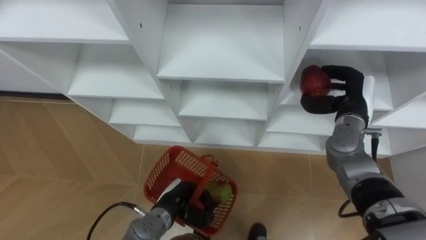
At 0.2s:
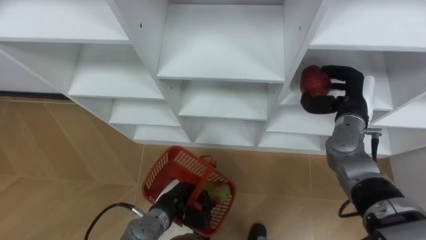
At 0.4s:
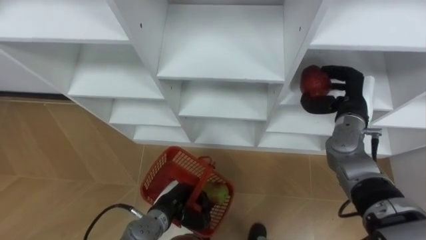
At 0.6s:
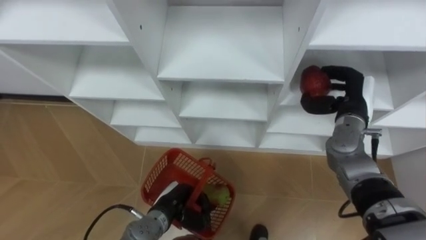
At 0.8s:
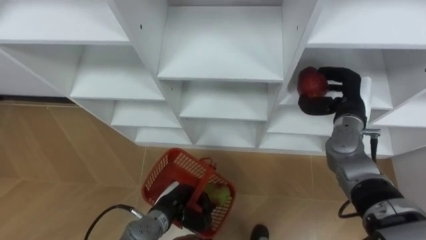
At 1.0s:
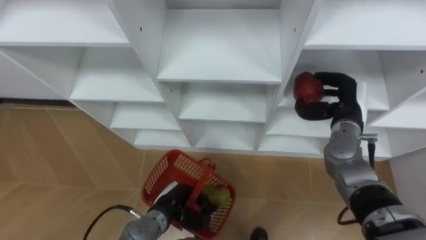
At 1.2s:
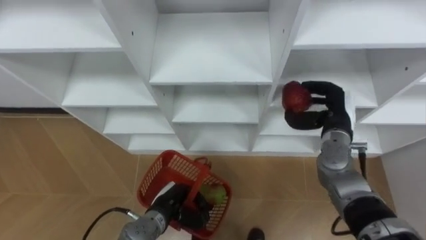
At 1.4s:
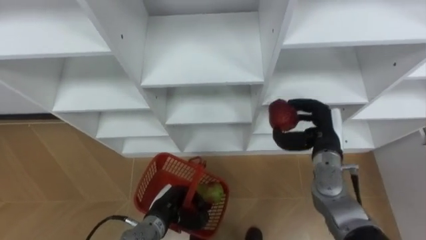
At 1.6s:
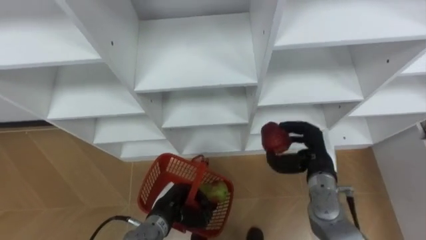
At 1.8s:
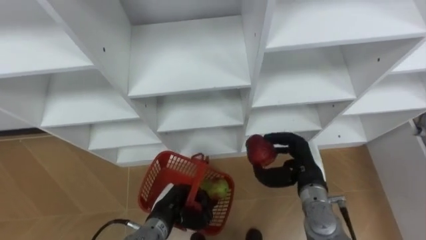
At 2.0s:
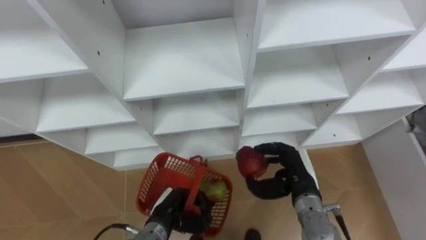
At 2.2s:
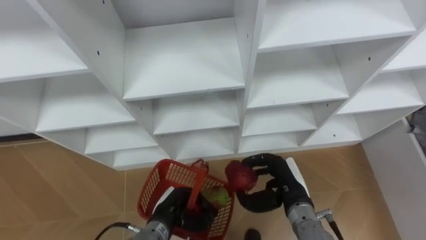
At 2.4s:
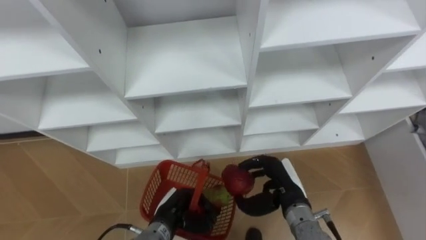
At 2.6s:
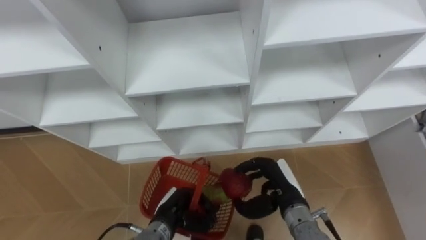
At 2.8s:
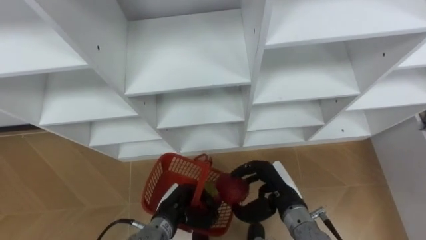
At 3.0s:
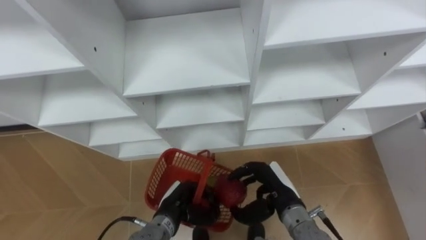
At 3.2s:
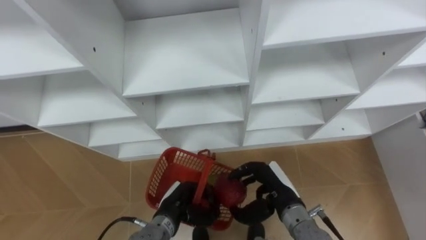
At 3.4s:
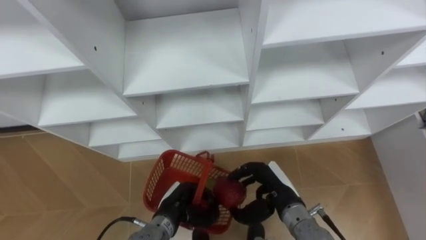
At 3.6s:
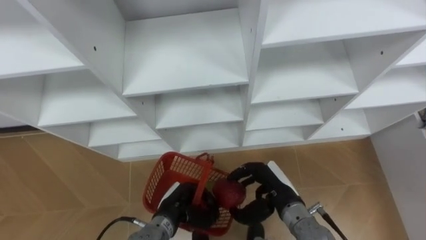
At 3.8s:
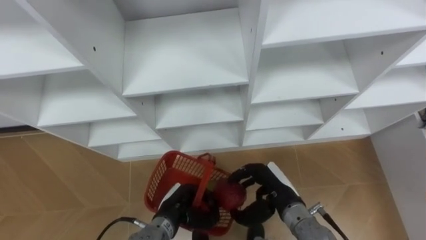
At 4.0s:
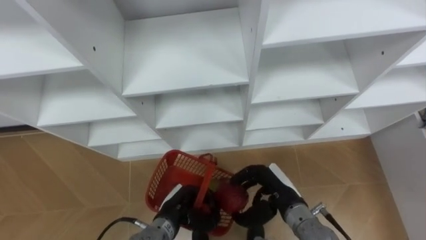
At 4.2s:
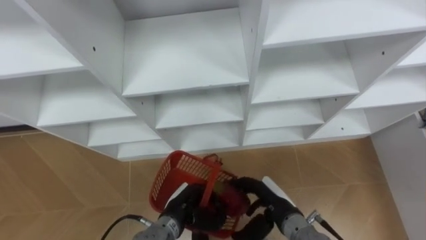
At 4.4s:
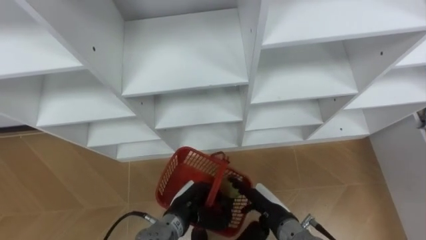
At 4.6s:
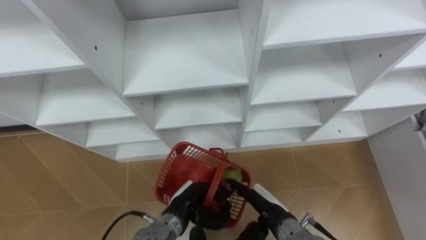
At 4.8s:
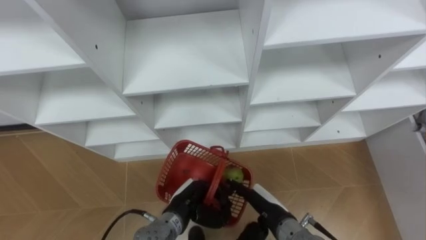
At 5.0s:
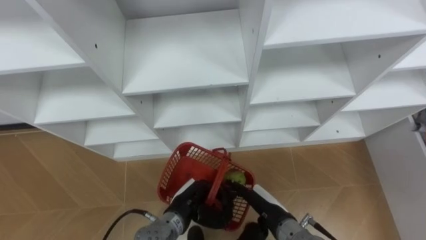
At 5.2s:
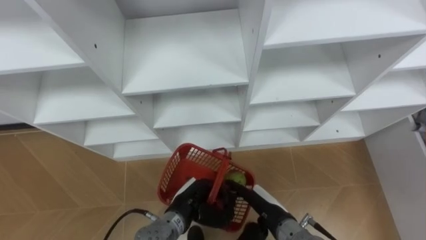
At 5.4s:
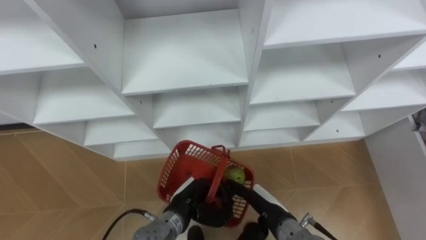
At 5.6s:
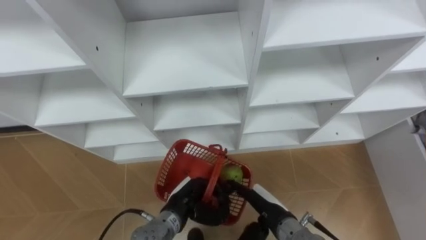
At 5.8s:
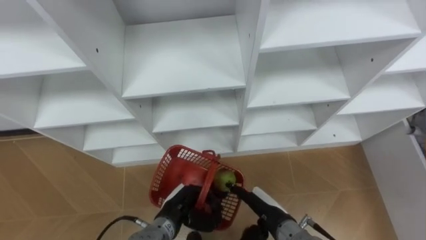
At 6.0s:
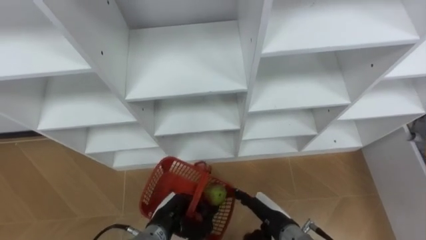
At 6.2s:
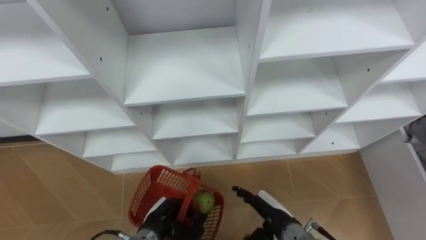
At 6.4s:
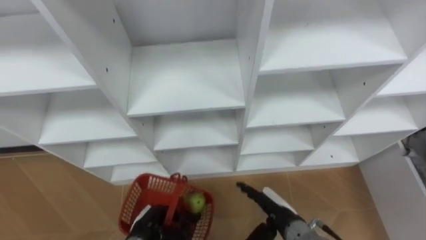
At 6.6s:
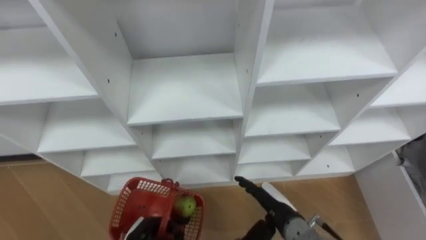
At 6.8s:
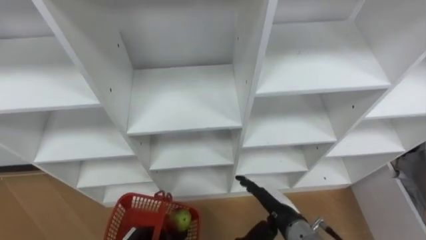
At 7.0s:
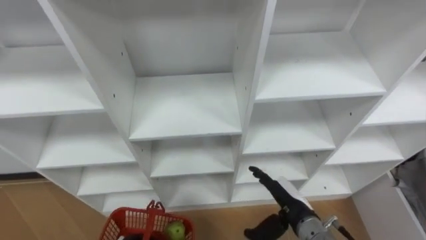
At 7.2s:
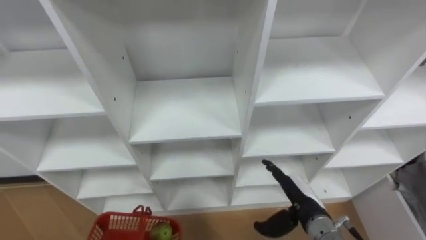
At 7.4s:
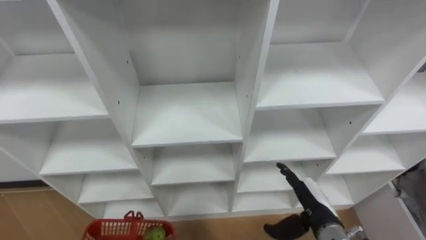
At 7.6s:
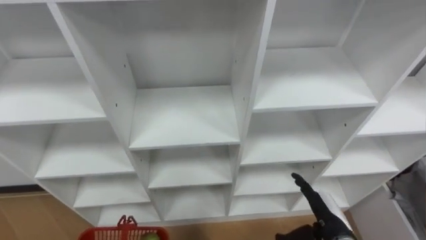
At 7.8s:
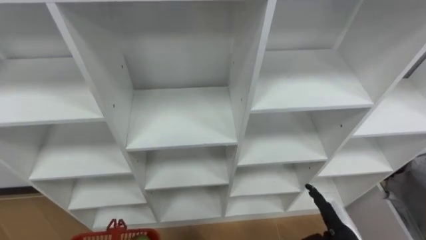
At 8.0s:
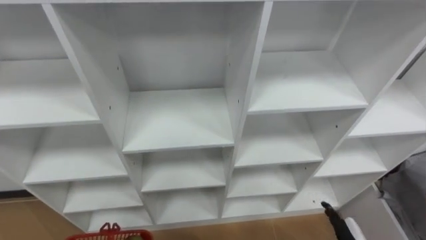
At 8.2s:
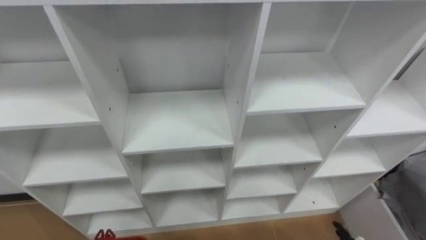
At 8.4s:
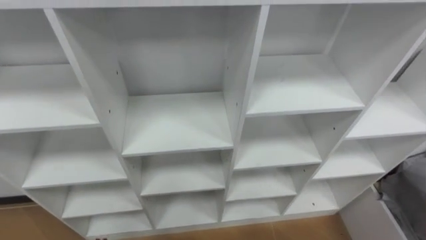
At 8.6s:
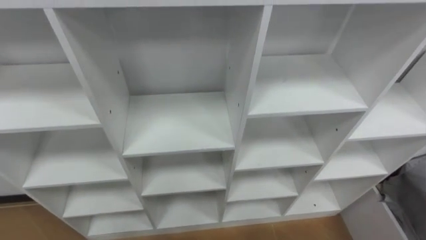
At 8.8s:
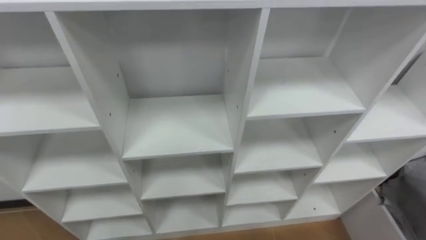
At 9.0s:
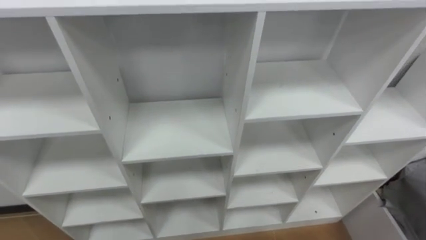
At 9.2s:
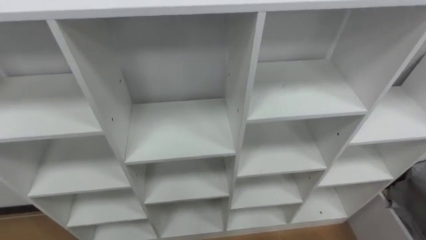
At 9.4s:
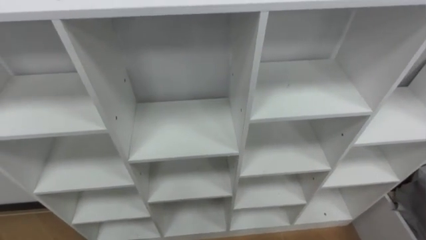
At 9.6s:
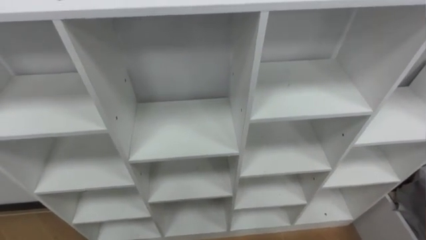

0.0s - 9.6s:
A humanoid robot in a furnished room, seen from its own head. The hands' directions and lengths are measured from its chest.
Task of the whole recording: Hold the basket and collect the fruits from 3 different cells of the closet into it.
0.0s - 1.6s: The right hand travels backward, downward and to the left by about 10 cm.
1.6s - 3.2s: The right hand travels to the left and backward by approximately 10 cm.
3.2s - 4.8s: The right hand opens its fingers.
4.8s - 6.4s: The left hand moves to the left, approximately 10 cm.

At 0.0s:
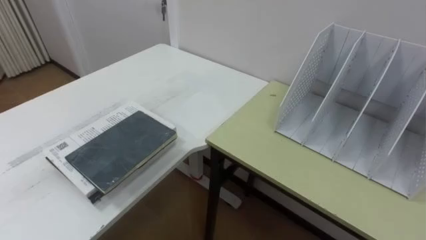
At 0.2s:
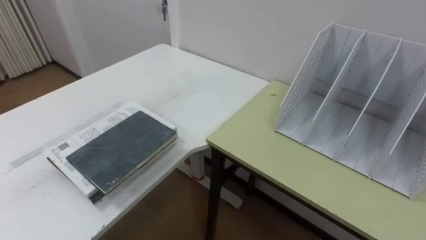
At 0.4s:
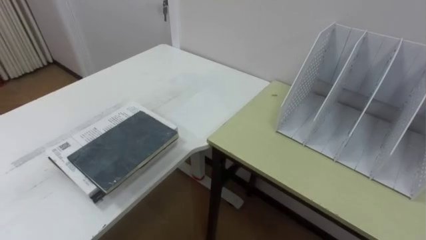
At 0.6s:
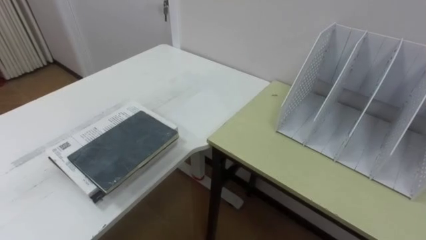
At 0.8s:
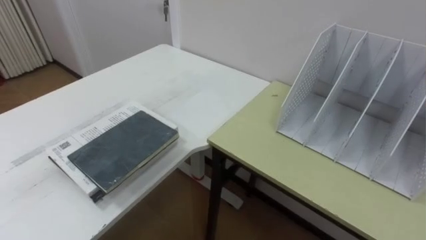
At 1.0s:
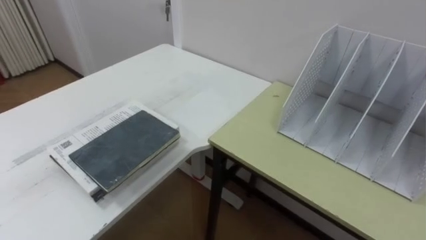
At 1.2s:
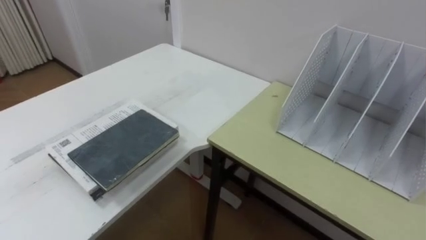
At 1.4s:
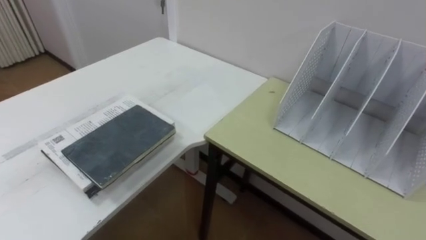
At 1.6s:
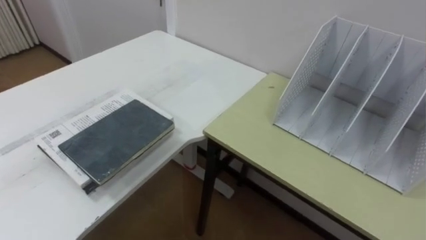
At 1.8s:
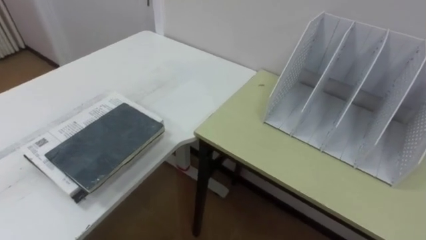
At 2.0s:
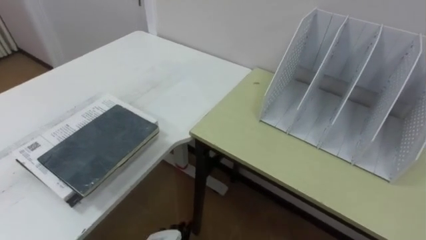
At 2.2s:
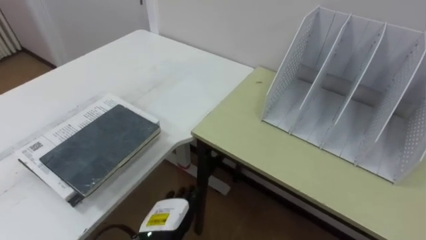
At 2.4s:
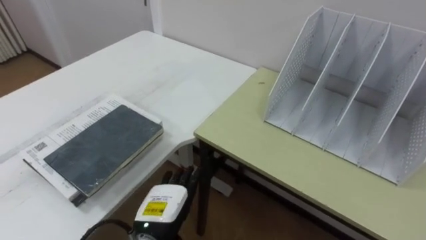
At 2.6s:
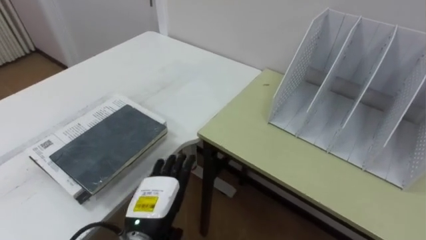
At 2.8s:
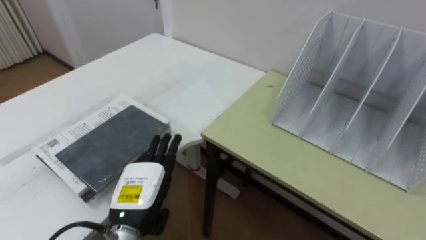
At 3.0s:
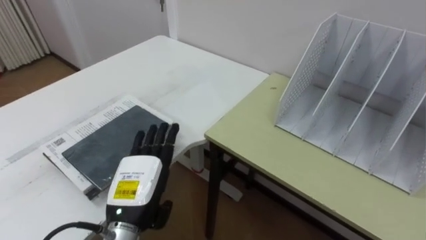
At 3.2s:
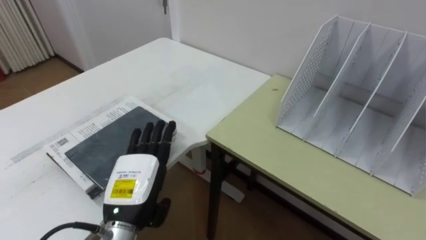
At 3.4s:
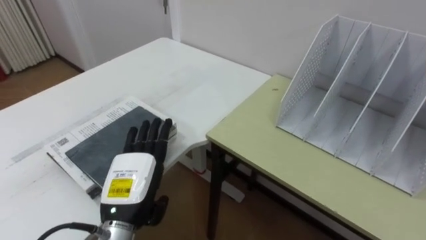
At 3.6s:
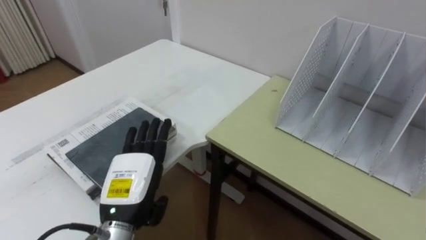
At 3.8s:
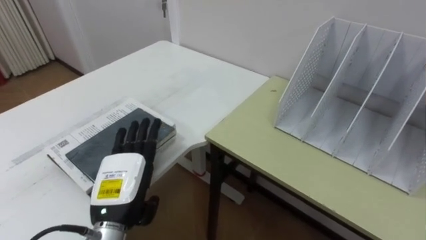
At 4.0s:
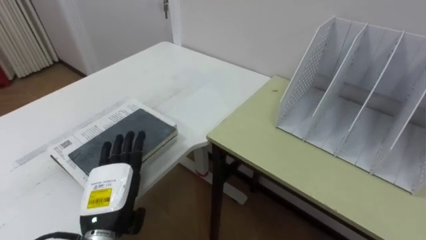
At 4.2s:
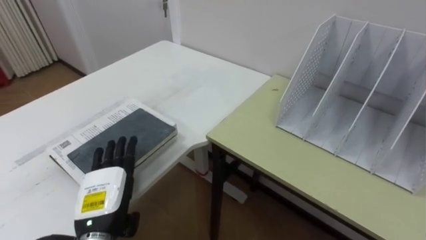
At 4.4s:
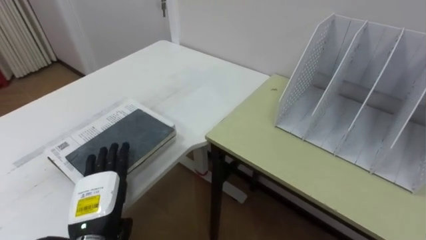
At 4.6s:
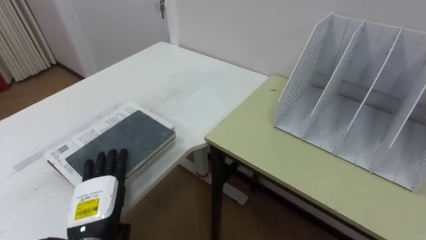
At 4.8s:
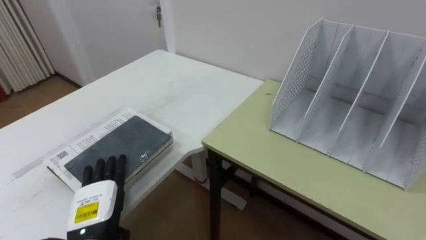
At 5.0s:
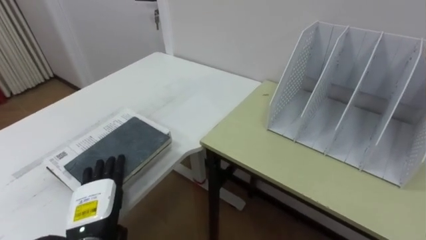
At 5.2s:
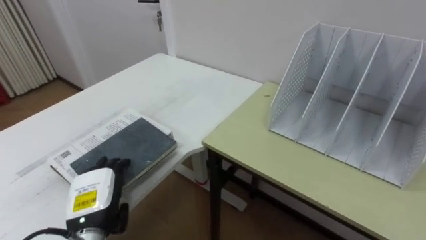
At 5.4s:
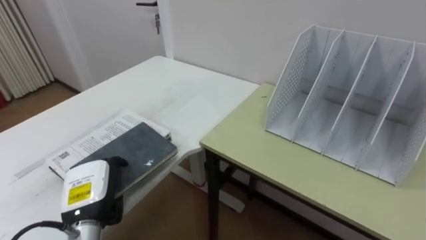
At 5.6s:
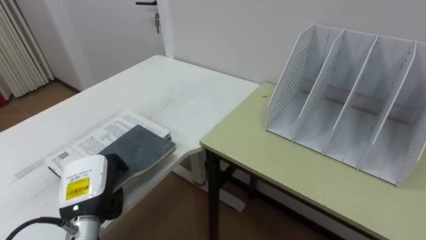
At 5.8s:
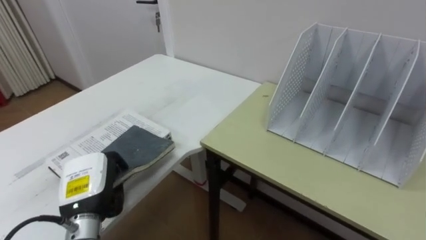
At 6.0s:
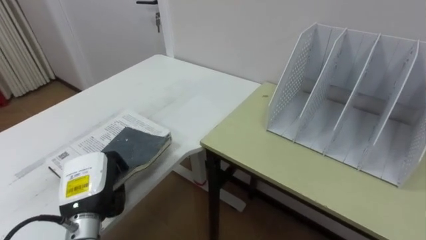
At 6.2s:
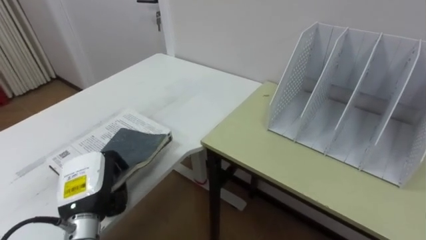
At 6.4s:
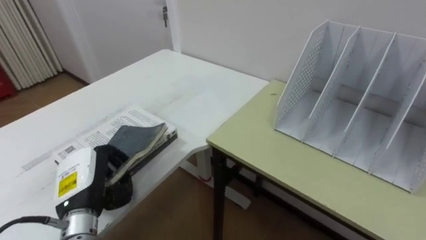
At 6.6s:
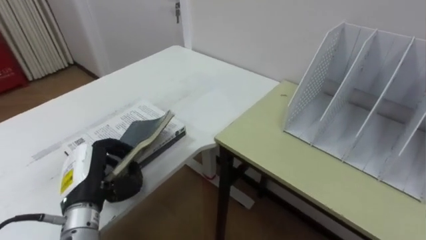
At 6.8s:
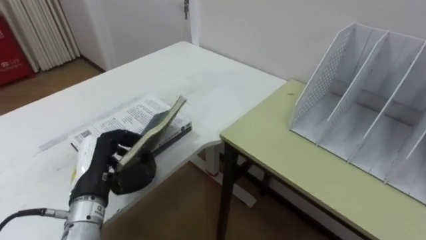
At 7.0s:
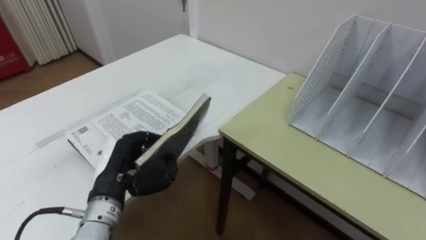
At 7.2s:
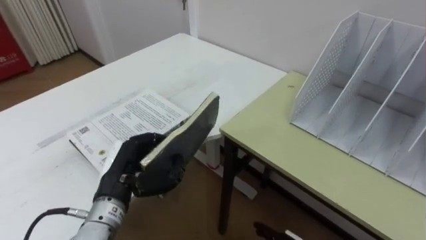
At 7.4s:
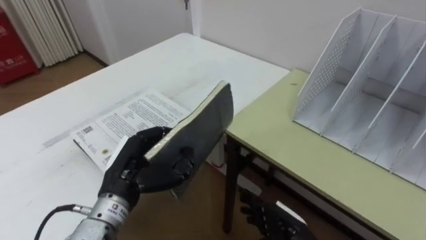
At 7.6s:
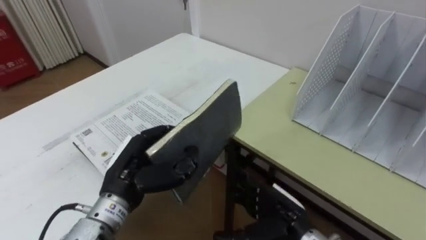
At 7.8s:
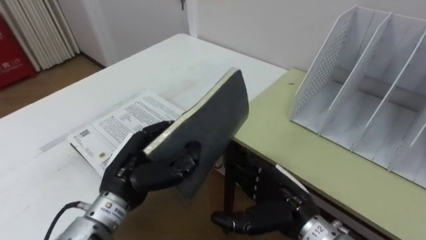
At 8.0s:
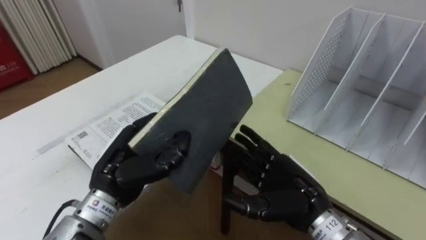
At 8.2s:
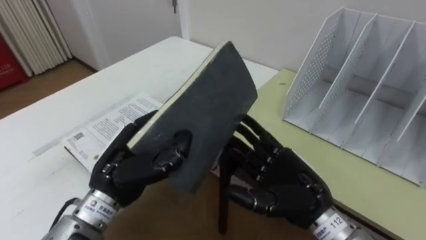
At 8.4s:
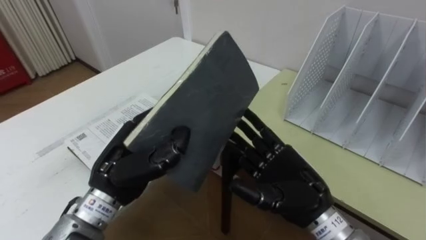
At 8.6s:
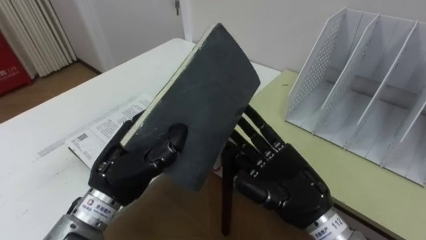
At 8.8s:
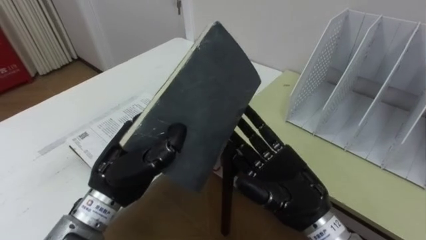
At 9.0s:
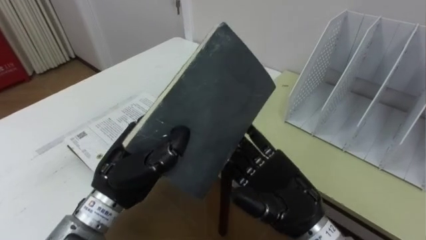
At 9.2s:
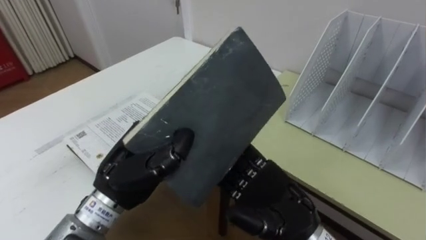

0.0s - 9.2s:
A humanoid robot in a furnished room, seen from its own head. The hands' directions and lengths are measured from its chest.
Task of the whole recording: Put the books on the table onto the bookshelf.
3.0s - 4.6s: The left hand moves to the left, about 10 cm.
4.6s - 6.2s: The left hand closes up.
6.2s - 7.6s: The left hand travels to the right by about 10 cm.
7.6s - 9.2s: The left hand shifts by some 5 cm. The right hand moves upward, approximately 10 cm.
